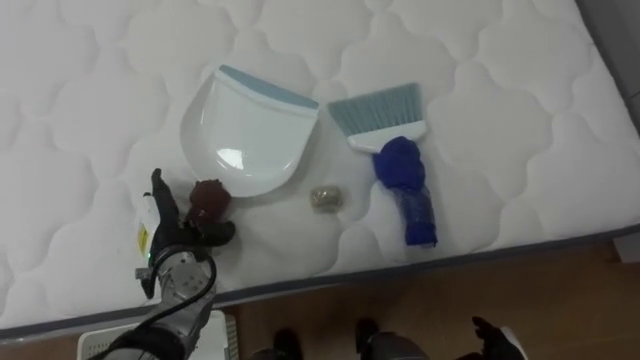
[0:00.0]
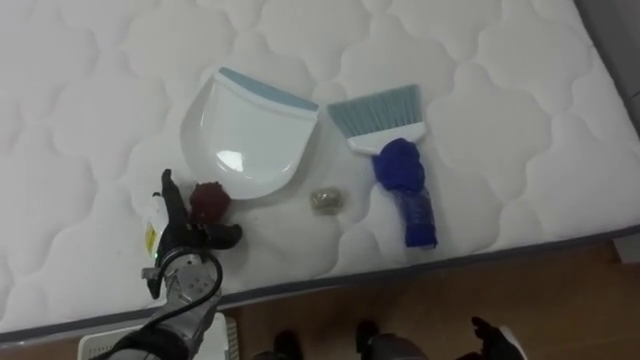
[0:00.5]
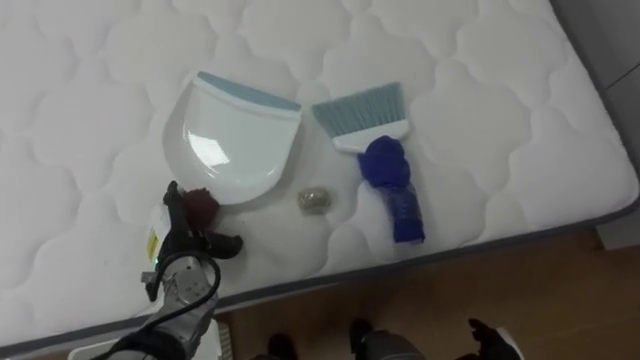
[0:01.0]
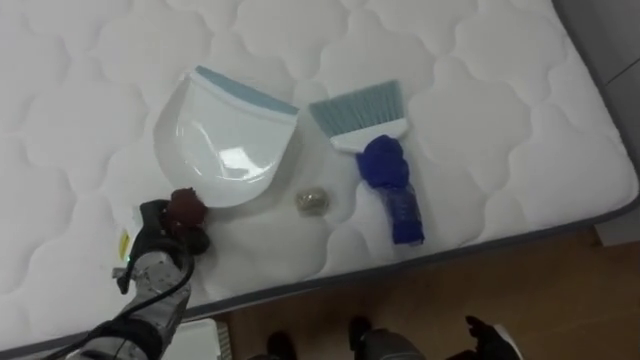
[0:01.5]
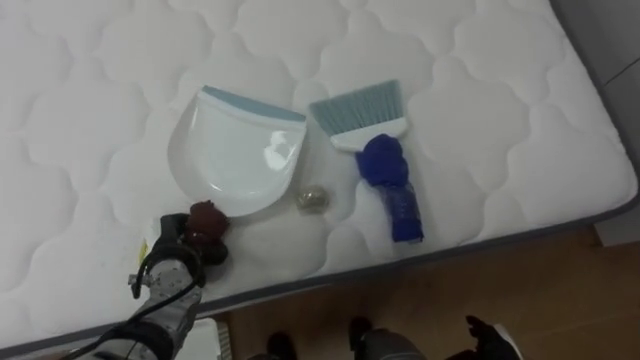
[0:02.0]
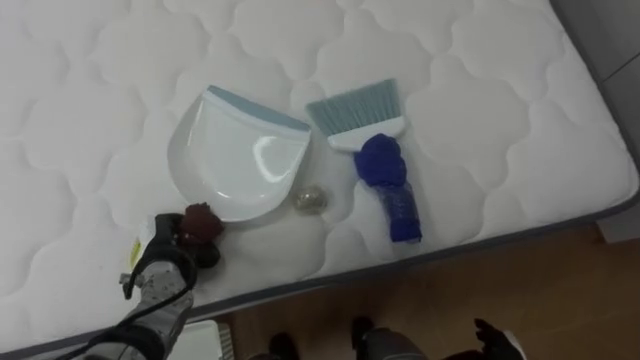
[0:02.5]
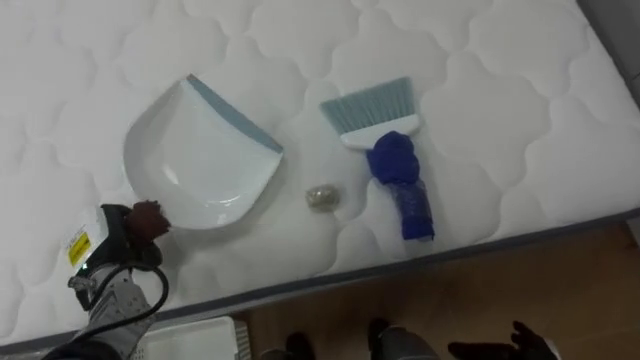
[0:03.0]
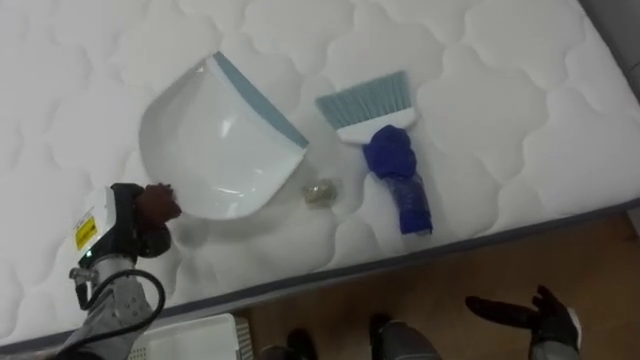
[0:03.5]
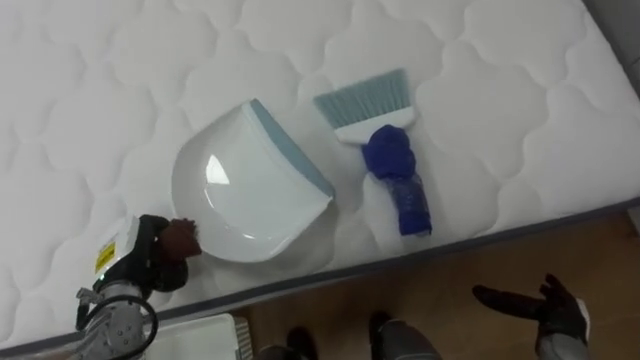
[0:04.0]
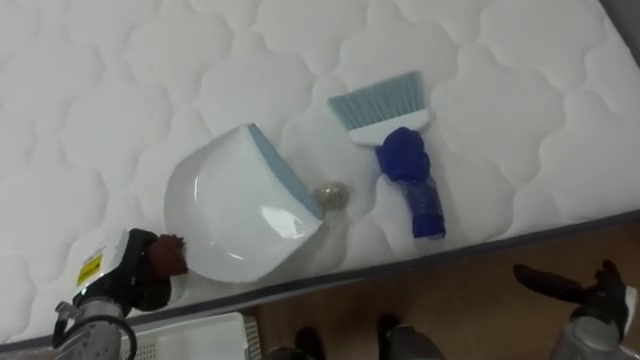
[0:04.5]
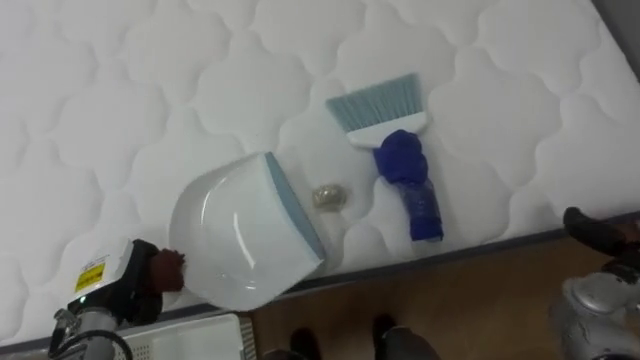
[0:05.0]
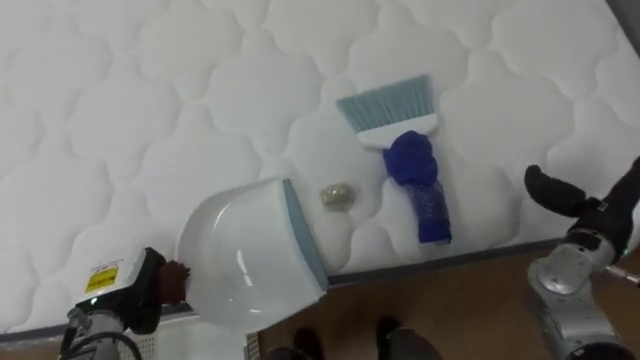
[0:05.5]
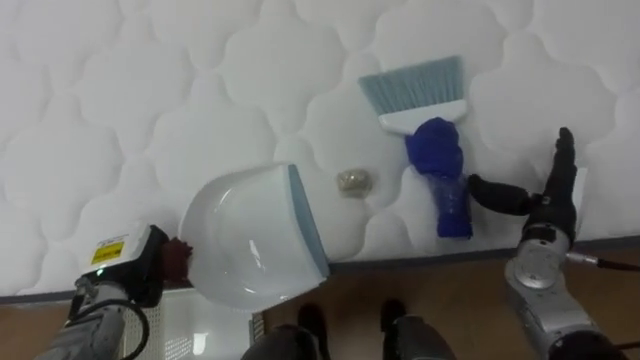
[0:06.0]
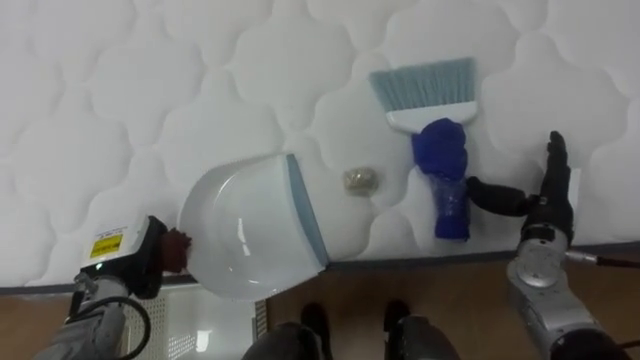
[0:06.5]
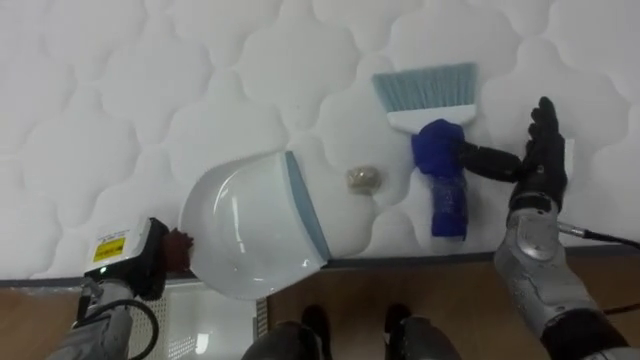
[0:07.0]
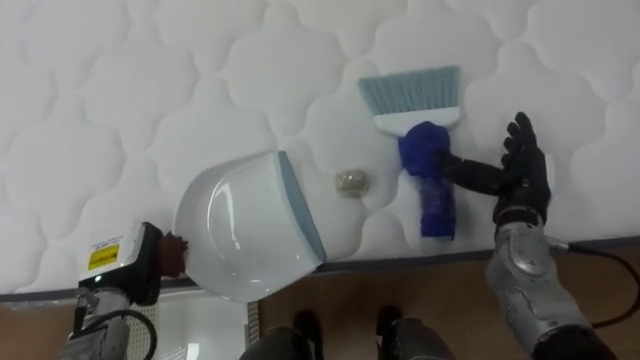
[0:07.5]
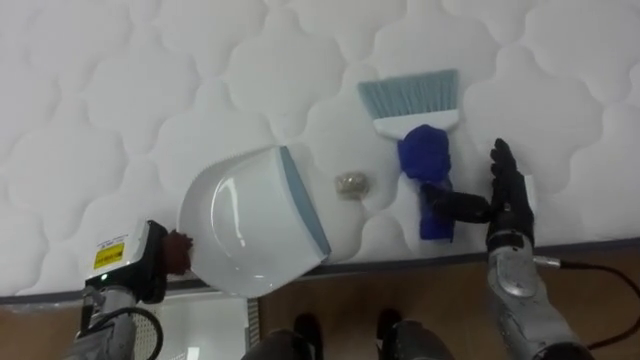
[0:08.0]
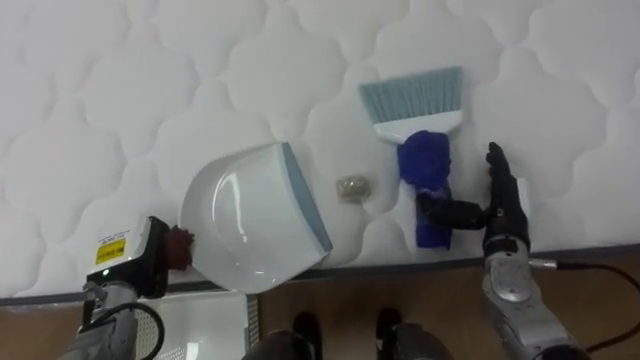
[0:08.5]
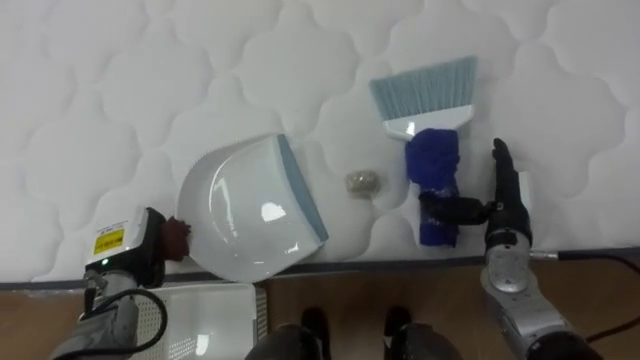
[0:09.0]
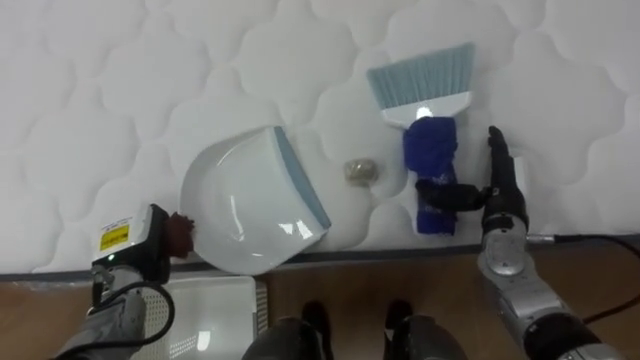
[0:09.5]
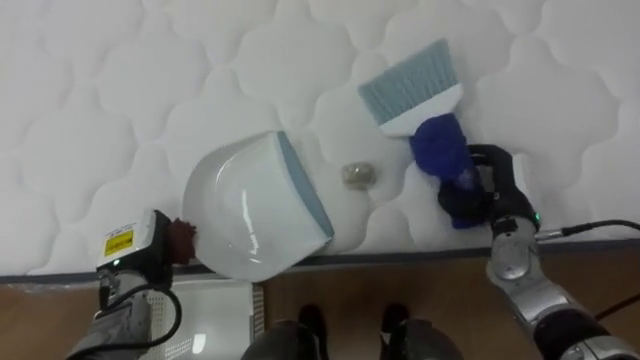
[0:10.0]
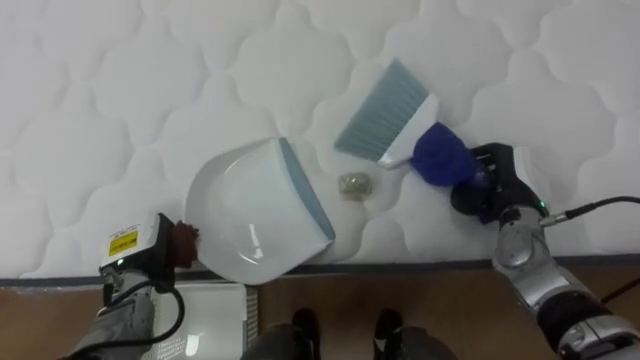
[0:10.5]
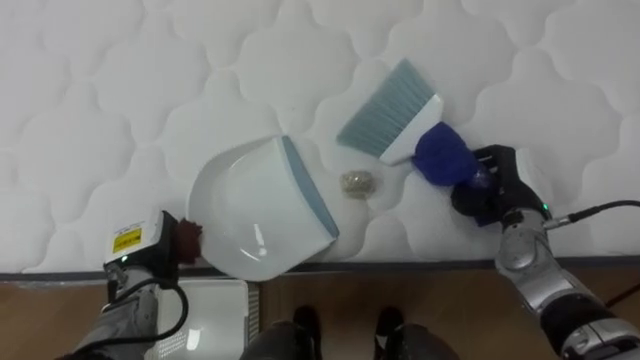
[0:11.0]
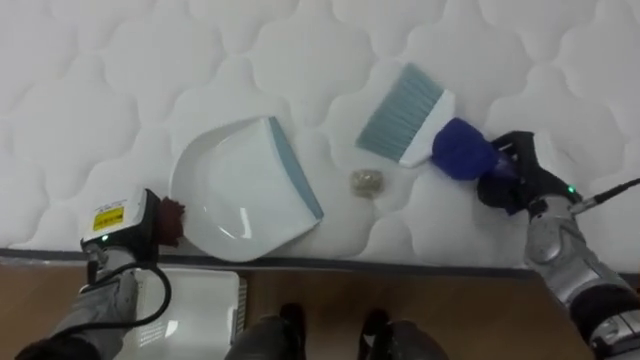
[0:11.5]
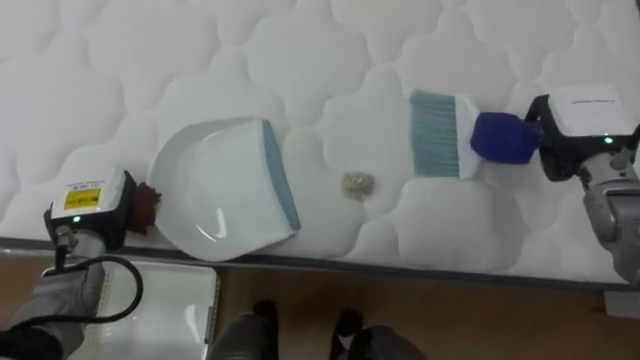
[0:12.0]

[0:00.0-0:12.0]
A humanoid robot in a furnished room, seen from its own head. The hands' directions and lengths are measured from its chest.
Task of the whole recording: Pick up the brush on your right and the dustpan on your left. Use the brush to sweep the crumpled paper on the bed into the dustpan, then turn left and empty it into the basket.
0:00.0 to 0:02.0: The left hand closes its fingers.
0:06.0 to 0:08.0: The right hand is displaced to the left by some 5 cm.
0:10.0 to 0:12.0: The right hand travels upward and to the right by about 10 cm, and closes its fingers. Meanwhile the left hand is displaced upward by approximately 5 cm.

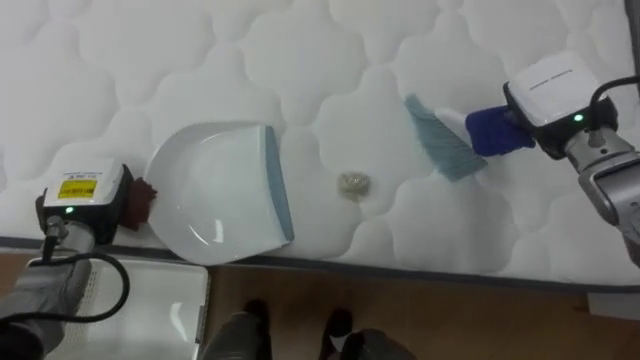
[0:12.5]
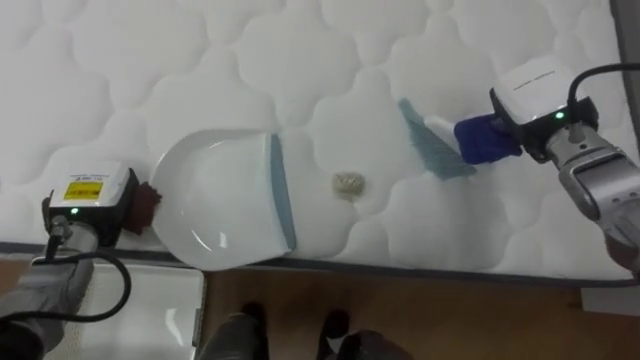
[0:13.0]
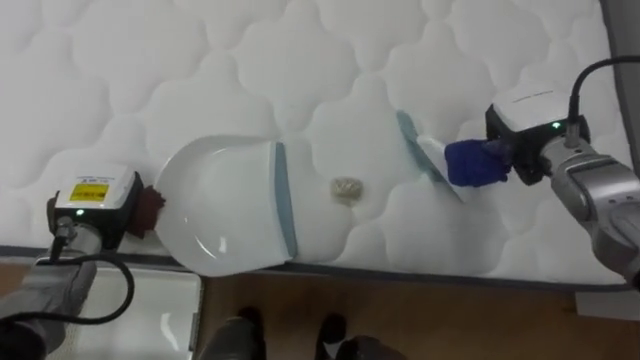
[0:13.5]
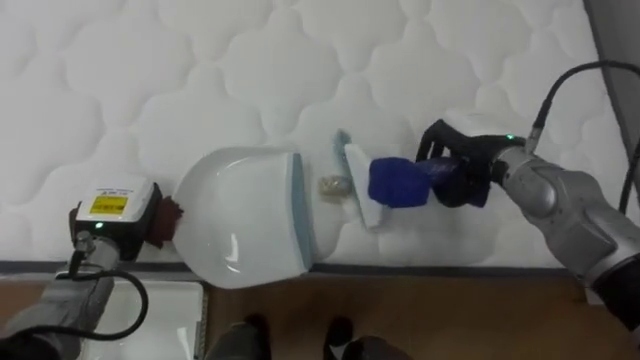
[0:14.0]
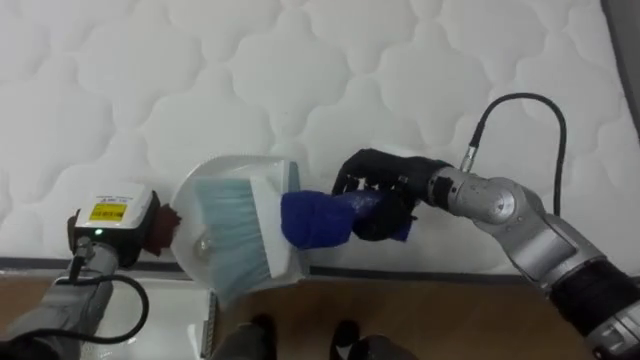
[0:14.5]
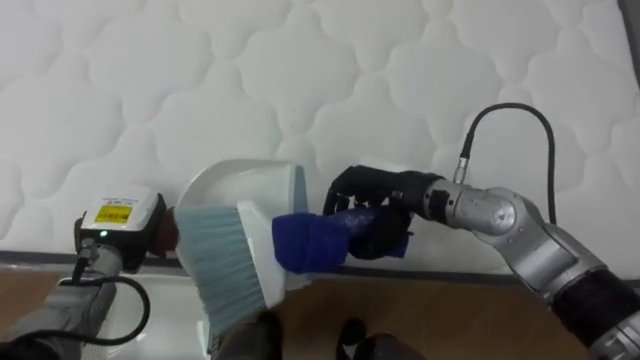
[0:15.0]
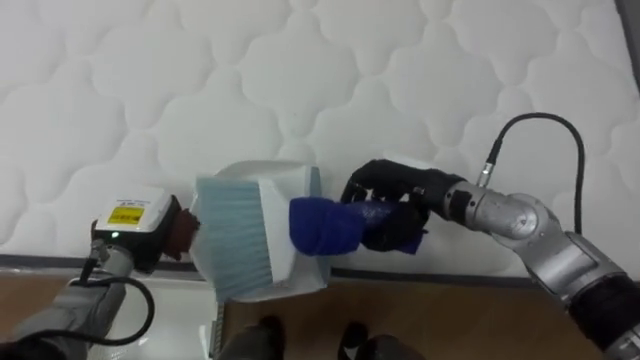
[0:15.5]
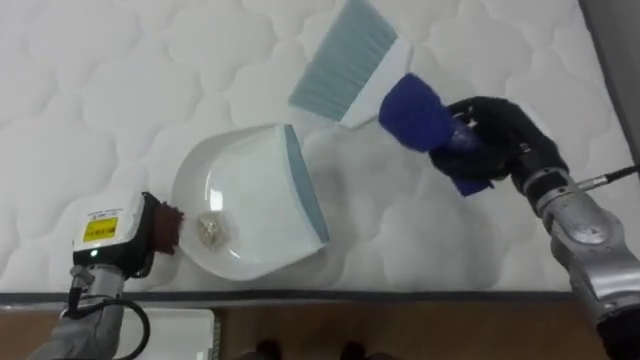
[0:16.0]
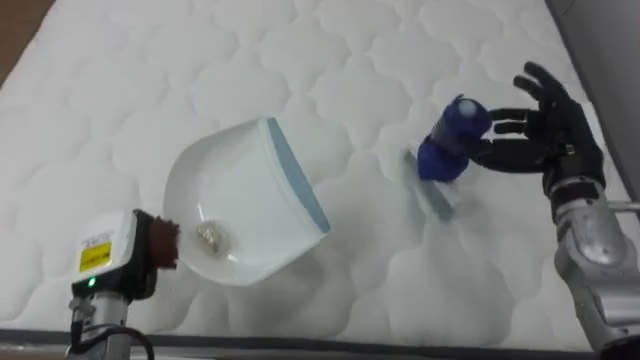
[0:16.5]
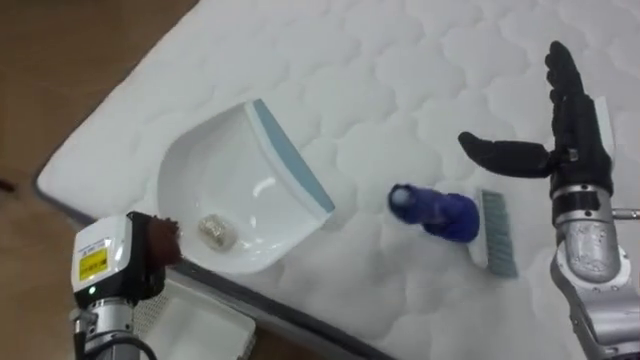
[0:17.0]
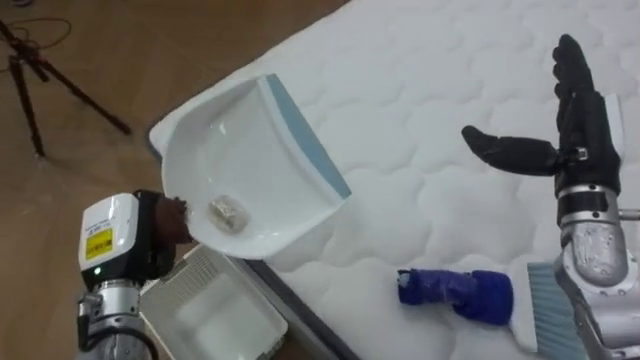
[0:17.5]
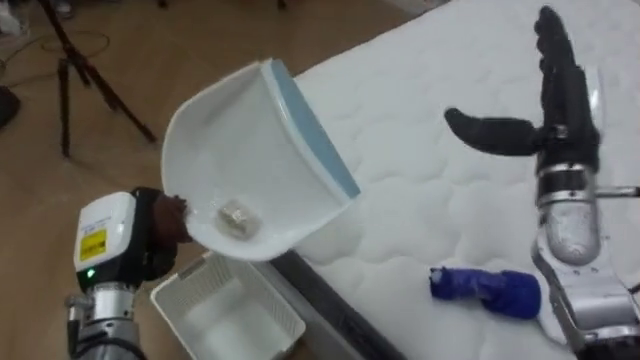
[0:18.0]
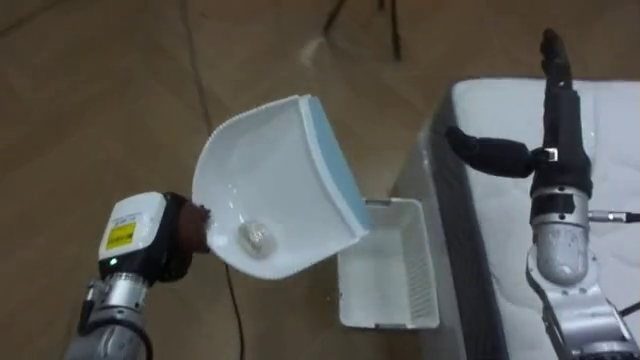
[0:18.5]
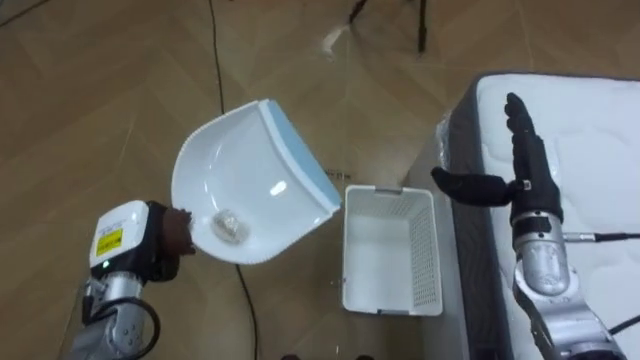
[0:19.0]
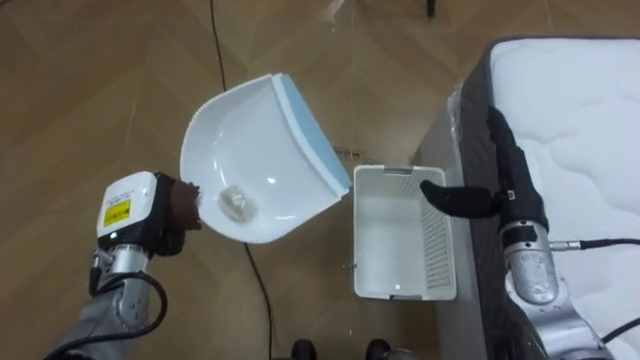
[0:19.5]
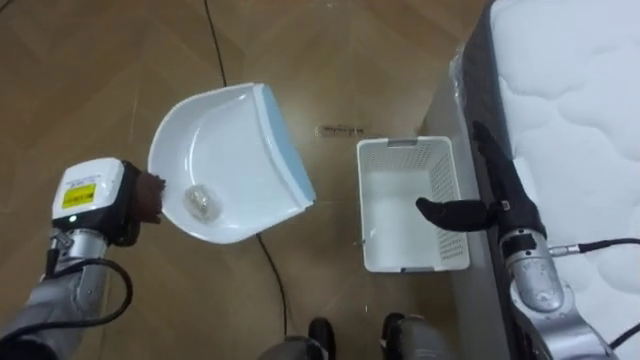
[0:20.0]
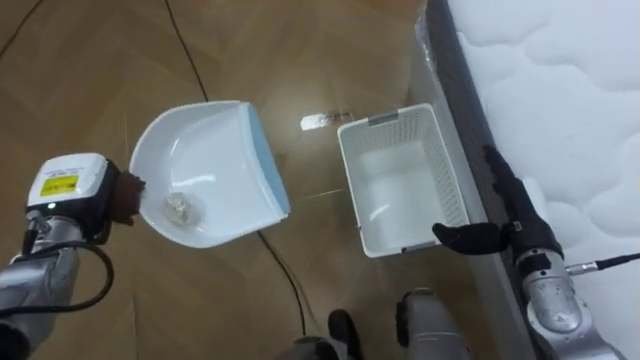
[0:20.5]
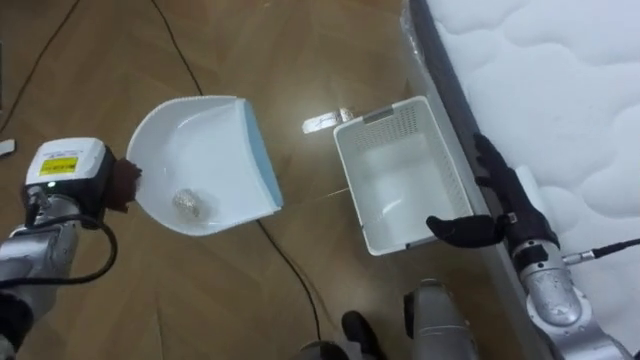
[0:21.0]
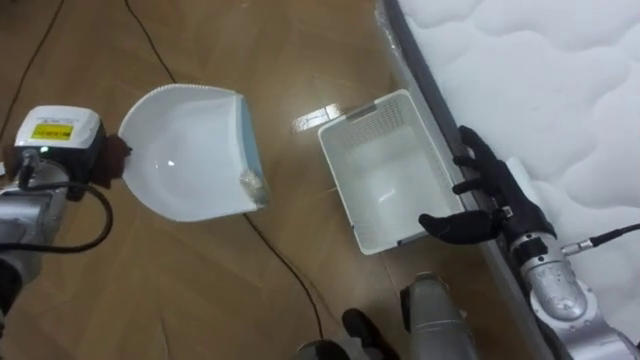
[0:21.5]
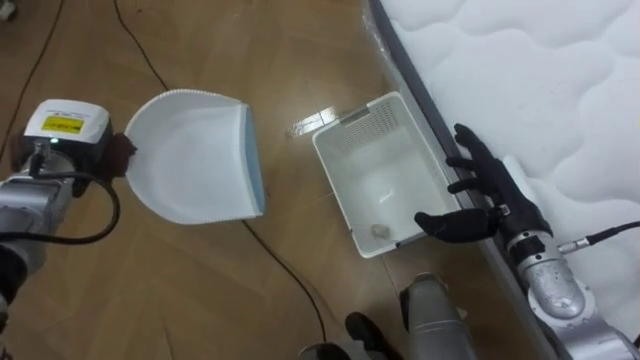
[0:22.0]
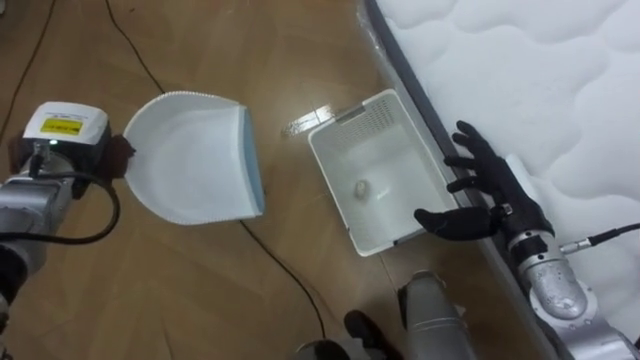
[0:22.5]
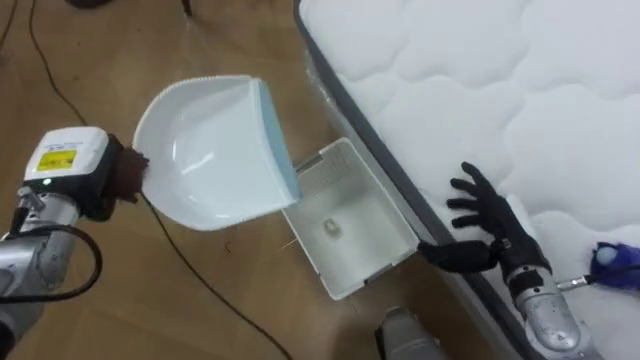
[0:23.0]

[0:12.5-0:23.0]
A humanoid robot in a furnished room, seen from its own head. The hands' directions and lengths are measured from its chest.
Task of the whole recording: Pick up the brush on your right and the dustpan on your left. Use the brush to sweep the crumpled paper on the bed into the dustpan, then turn left and empty it into the basket.
0:12.5 to 0:14.5: The right hand heads to the left, covering about 20 cm.
0:14.5 to 0:16.5: The left hand ends up approximately 5 cm from where it was, while the right hand heads to the right, covering roughly 20 cm, and opens up.
0:16.5 to 0:19.0: The robot's body swings about 95 degrees to its left.
0:19.0 to 0:21.0: The left hand heads forward, to the left and upward, covering roughly 10 cm.
0:21.0 to 0:23.0: The robot rotates about 20 degrees to its right.
